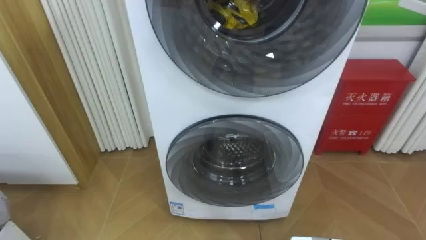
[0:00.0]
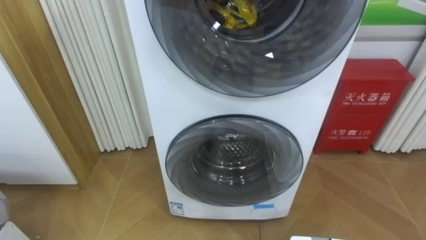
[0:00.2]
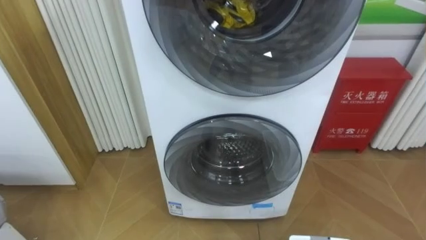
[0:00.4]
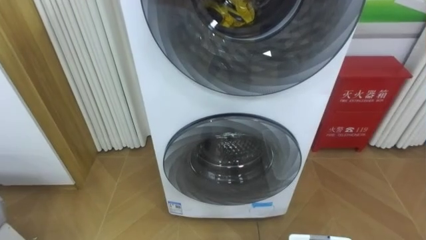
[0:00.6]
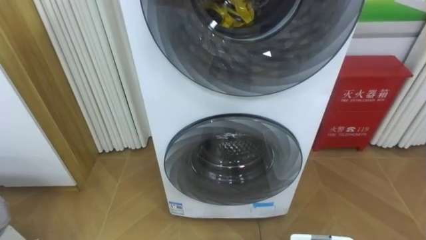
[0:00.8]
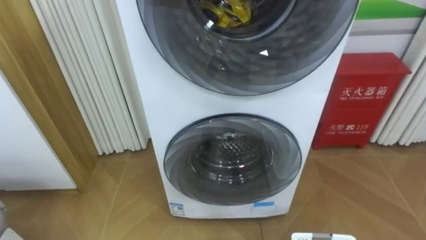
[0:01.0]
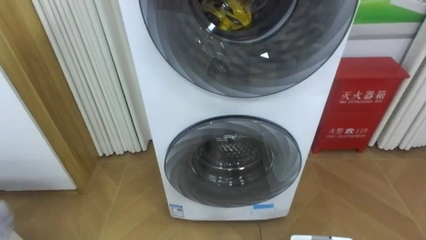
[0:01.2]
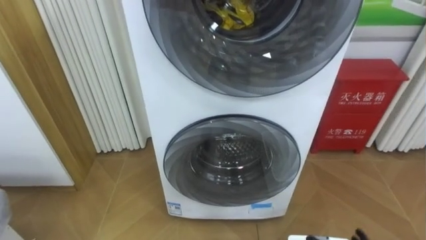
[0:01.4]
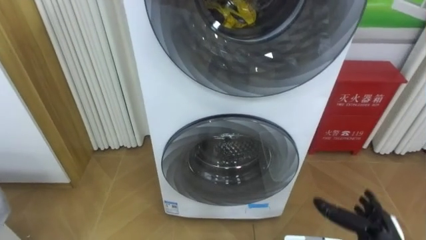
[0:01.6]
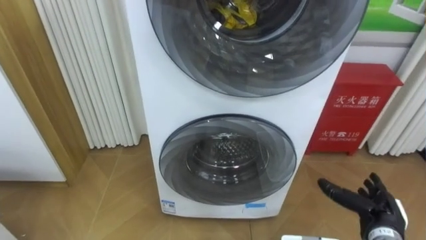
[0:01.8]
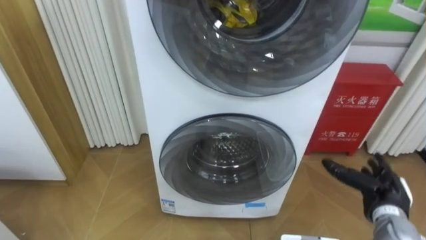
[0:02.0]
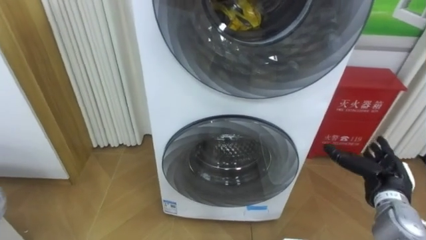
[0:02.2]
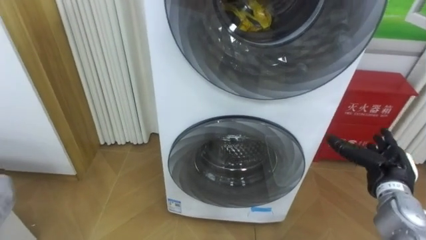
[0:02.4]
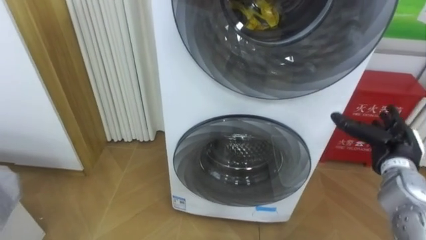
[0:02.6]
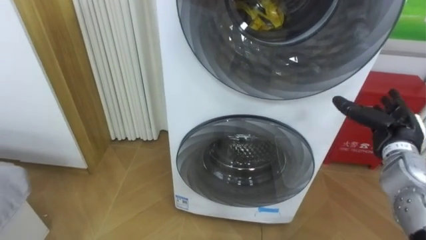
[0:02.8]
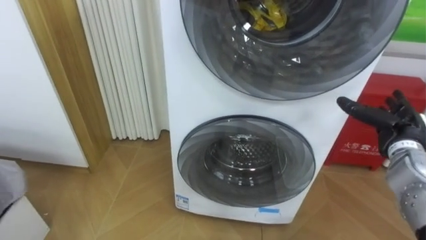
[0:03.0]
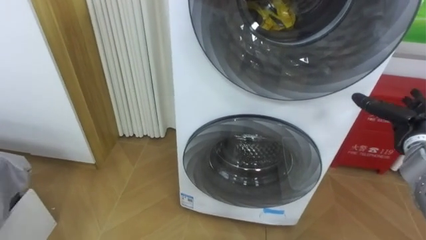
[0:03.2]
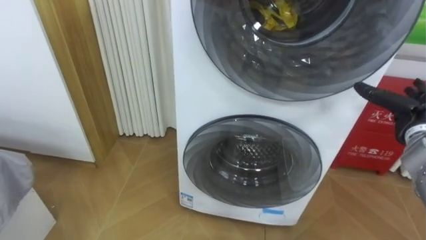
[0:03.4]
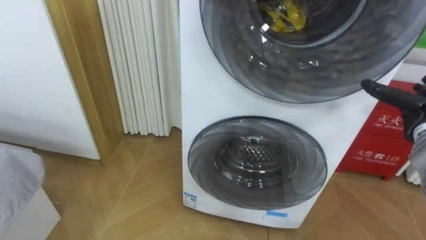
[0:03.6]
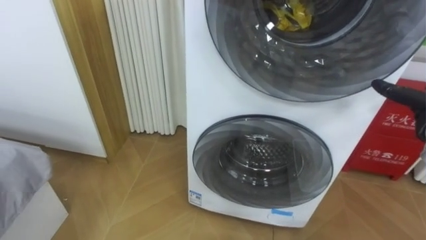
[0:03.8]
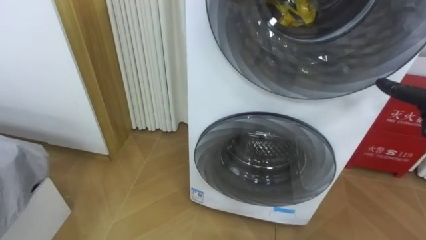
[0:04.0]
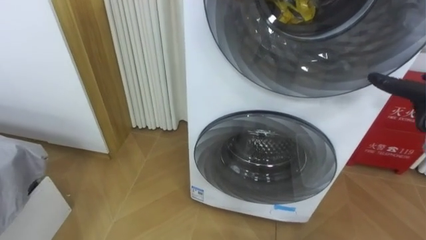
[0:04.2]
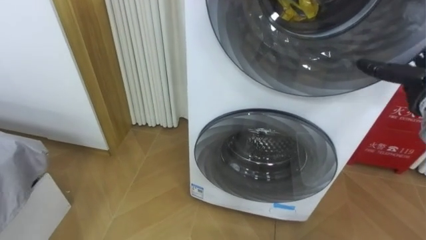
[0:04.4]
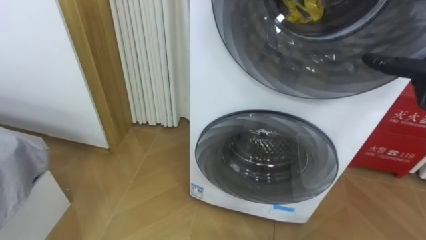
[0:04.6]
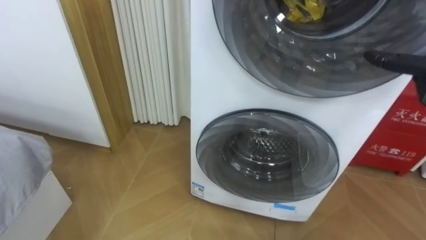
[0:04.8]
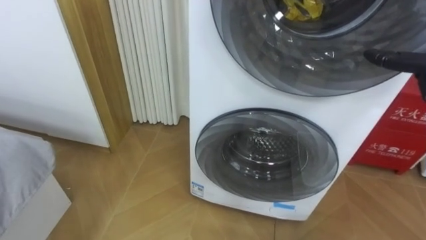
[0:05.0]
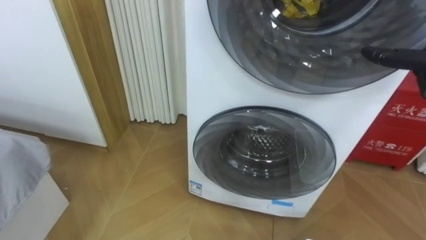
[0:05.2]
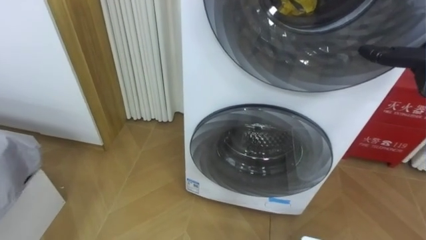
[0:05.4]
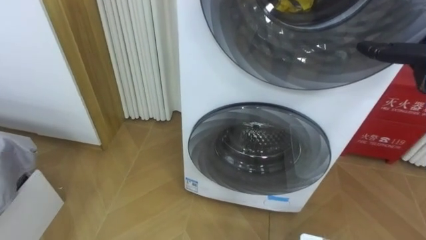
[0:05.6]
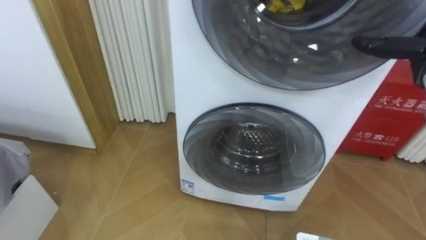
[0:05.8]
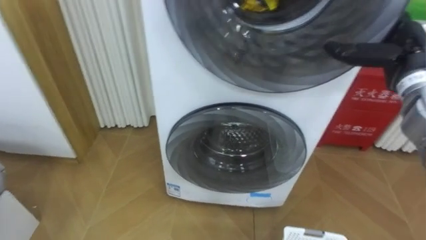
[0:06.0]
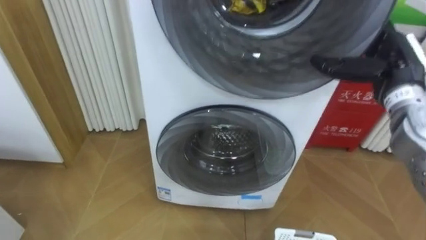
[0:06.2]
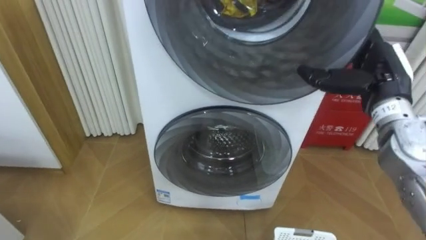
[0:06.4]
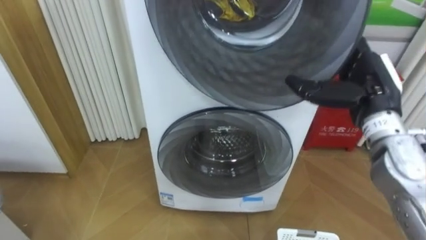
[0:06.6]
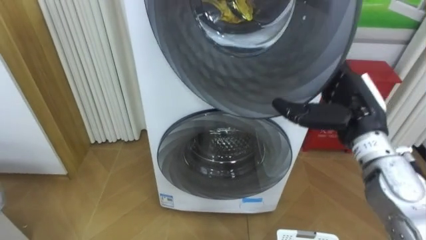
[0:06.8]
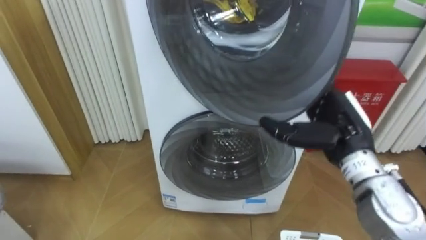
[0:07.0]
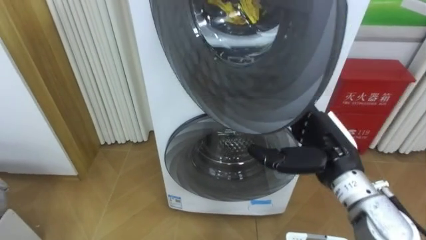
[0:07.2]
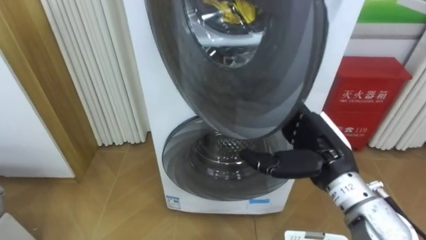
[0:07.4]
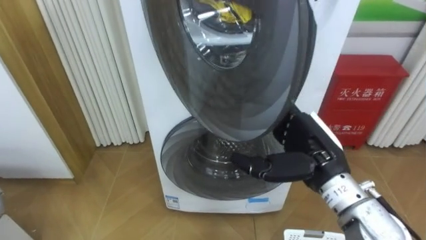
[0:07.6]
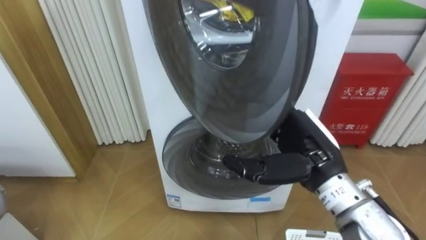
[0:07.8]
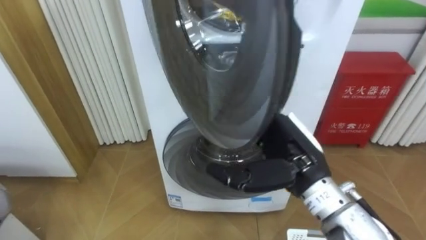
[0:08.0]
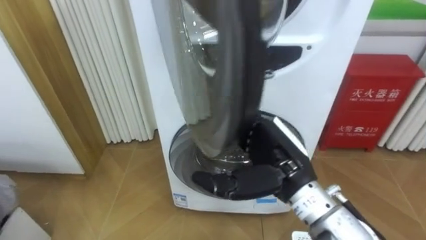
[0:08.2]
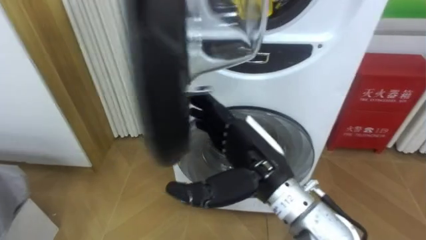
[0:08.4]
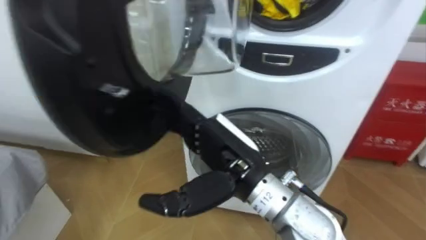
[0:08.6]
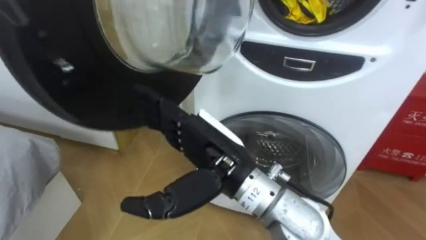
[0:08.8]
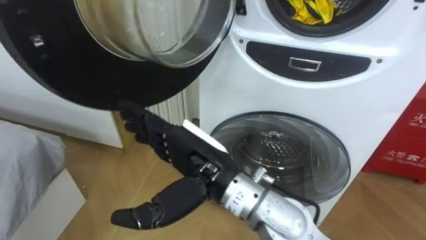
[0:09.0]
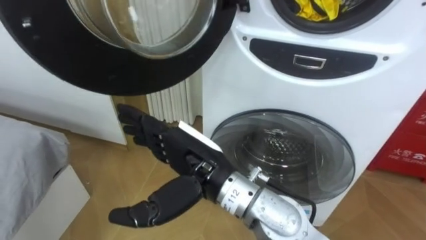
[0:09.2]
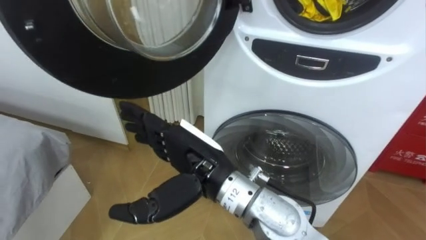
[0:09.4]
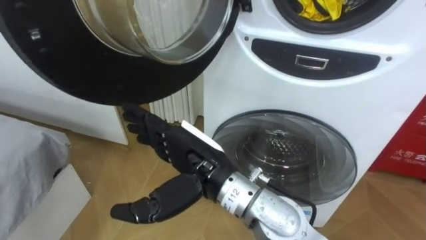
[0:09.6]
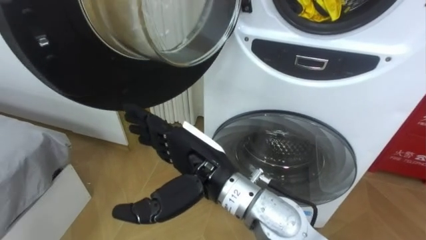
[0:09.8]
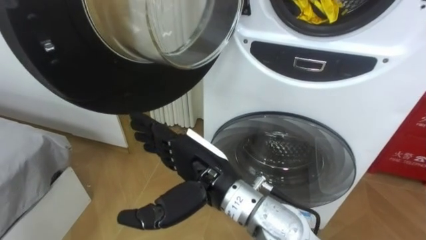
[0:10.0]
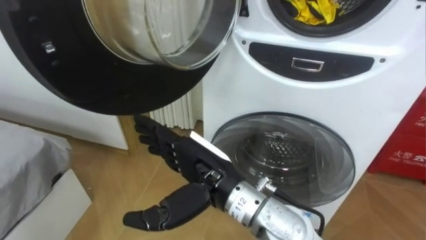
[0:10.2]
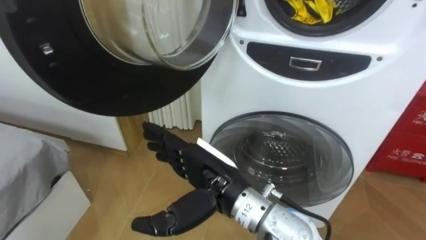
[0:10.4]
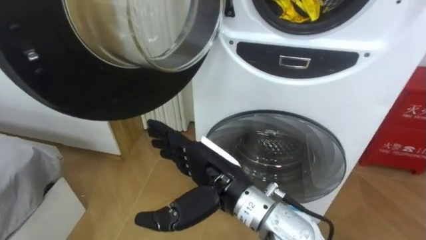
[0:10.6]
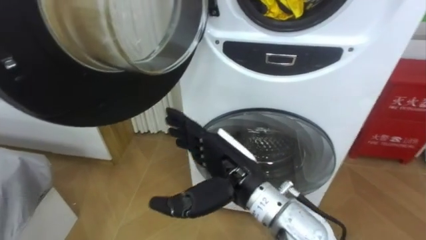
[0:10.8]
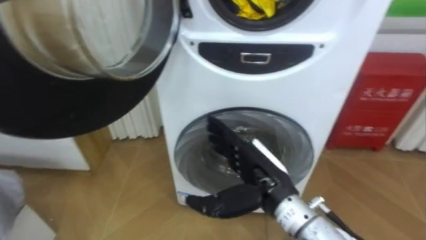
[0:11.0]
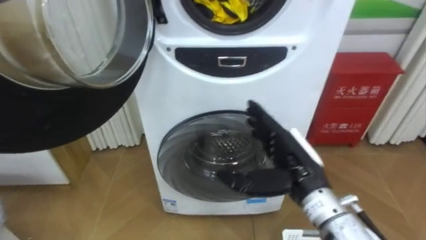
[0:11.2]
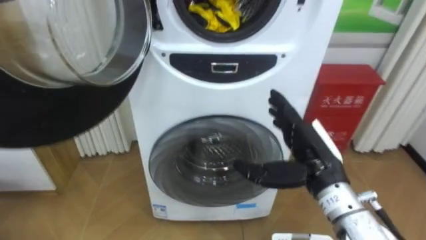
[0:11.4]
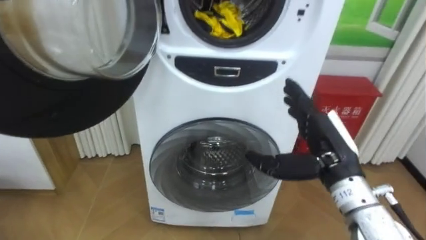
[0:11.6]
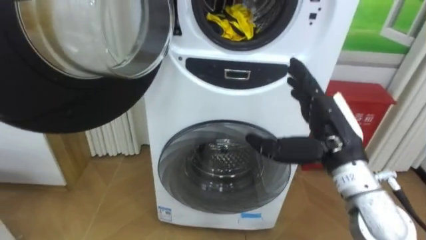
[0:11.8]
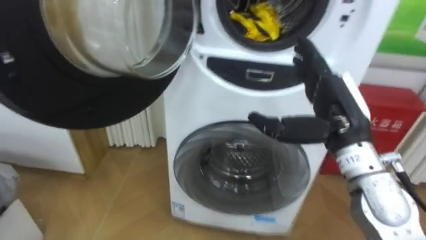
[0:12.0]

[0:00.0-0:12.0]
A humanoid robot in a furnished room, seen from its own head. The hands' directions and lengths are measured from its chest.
Task of the whole recording: Open the washing machine door, take out the yellow clothes, place them in the box on the right, and close the washing machine door.
0:01.6 to 0:03.0: The right hand is displaced upward and forward by some 20 cm.
0:06.0 to 0:07.6: The right hand shifts roughly 20 cm to the left, backward and downward.
0:07.6 to 0:09.0: The right hand shifts some 20 cm to the left.
0:10.4 to 0:12.0: The right hand travels to the right by roughly 20 cm.

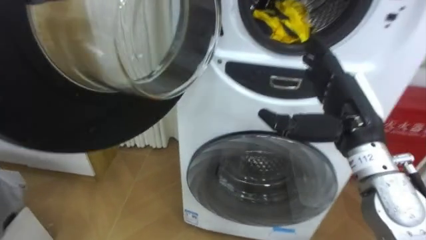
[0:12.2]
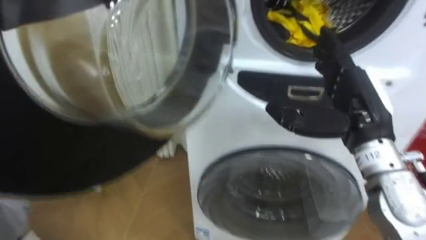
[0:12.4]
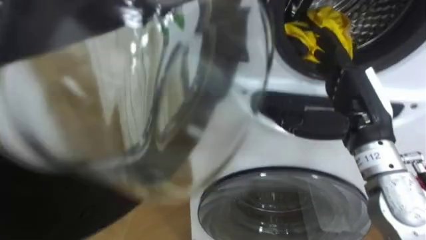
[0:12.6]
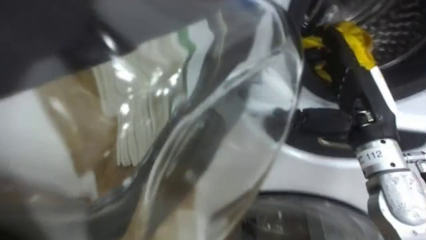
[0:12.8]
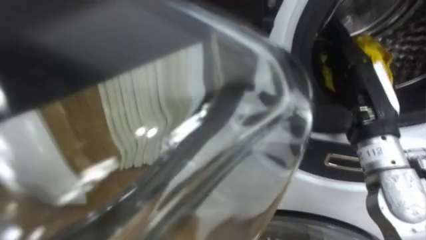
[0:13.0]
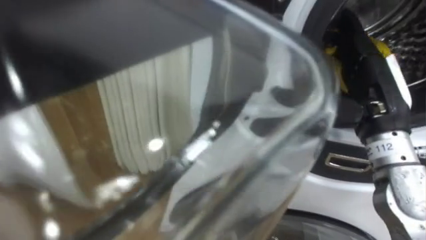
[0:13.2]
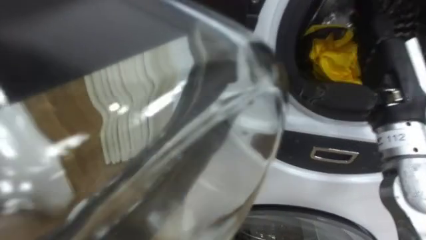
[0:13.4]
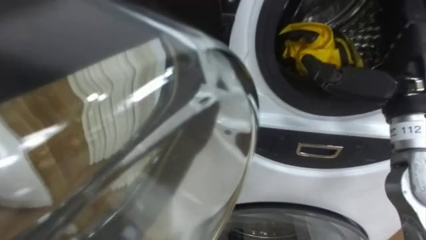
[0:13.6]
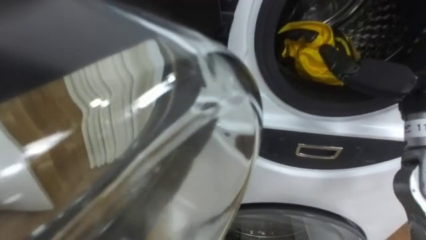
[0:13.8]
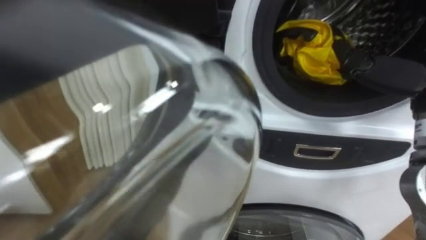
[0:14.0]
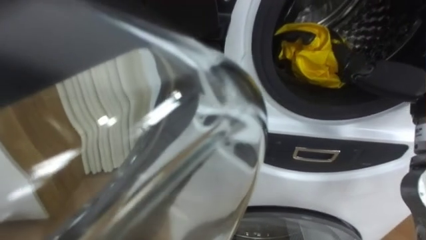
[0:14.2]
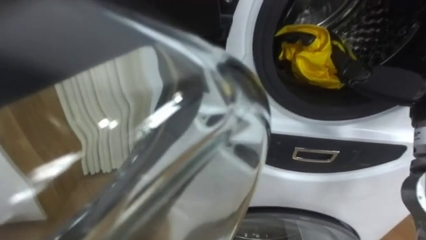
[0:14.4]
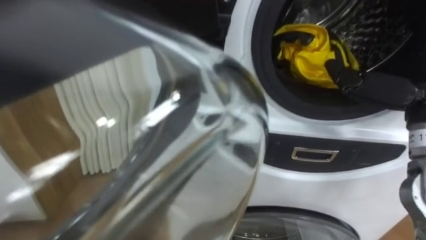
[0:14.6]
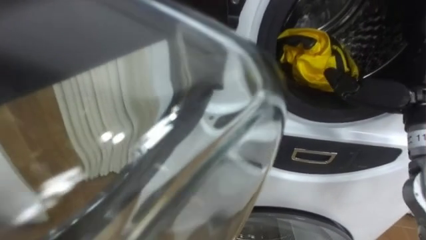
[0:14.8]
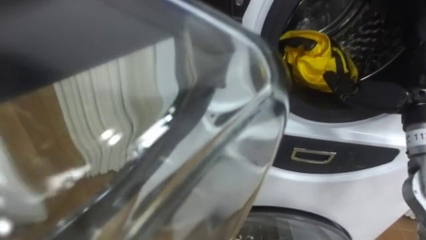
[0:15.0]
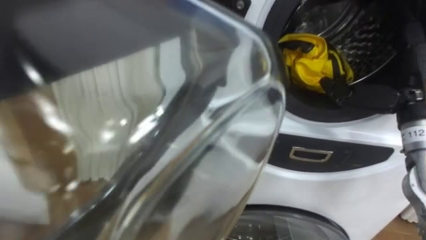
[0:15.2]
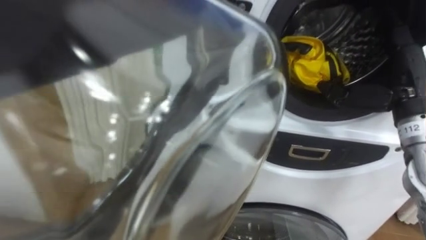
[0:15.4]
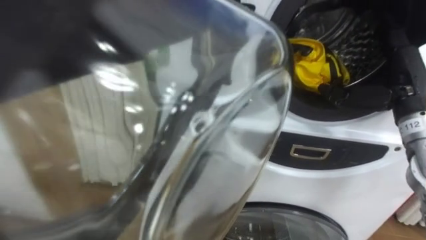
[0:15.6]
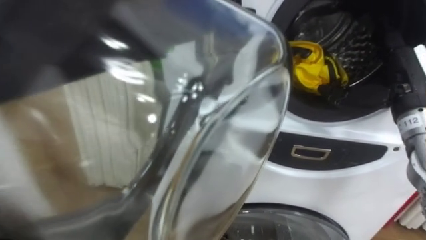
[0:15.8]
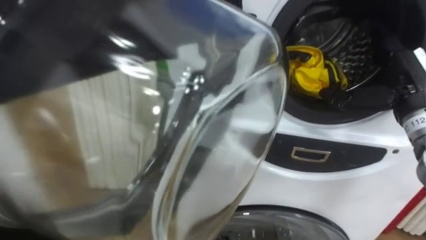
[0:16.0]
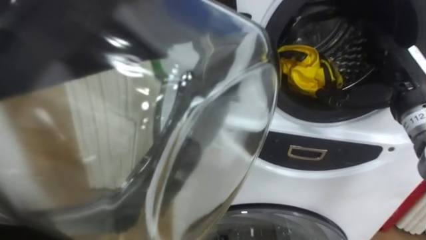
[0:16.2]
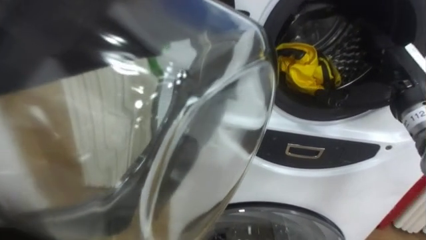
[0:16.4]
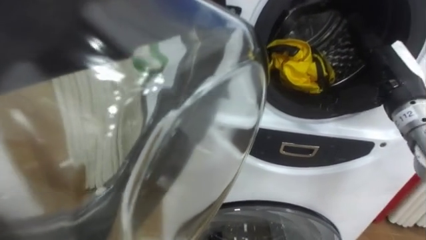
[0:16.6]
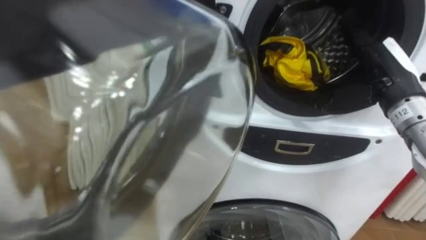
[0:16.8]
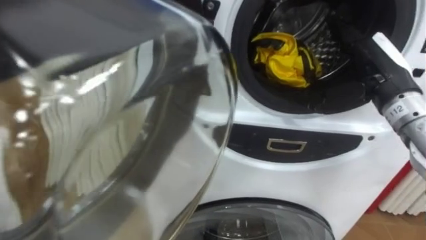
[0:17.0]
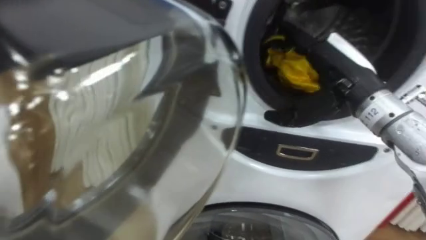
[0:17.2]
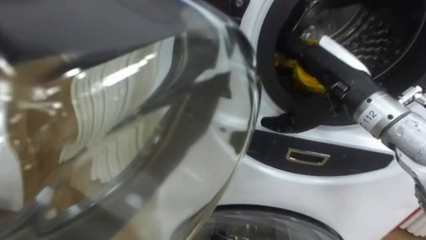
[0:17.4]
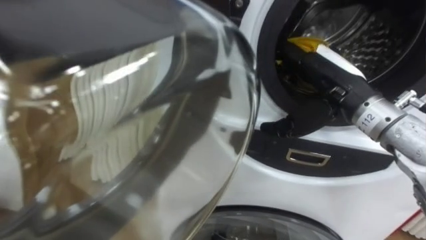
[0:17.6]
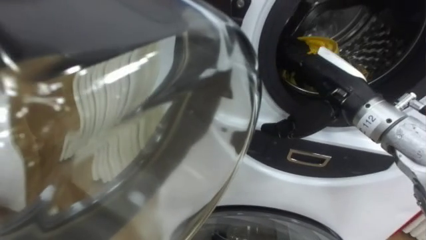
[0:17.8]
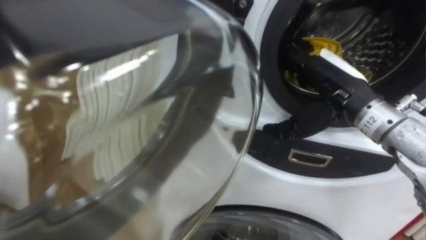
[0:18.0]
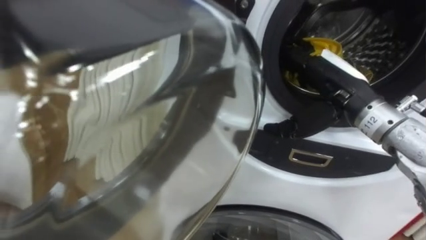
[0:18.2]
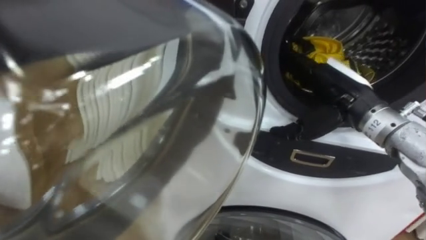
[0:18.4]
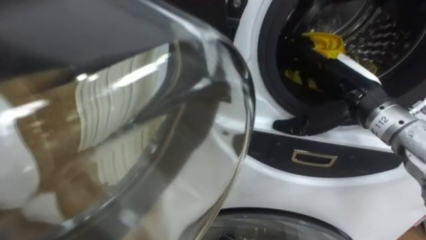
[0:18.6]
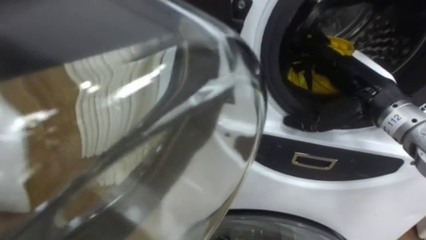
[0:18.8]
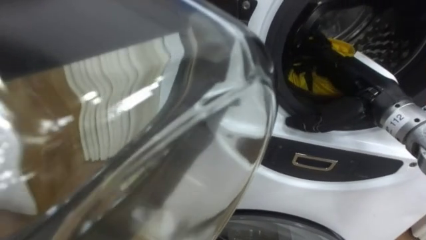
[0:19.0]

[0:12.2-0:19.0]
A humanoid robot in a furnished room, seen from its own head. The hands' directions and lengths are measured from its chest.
Task of the whole recording: Open the washing machine door, take out the yellow clothes, place them in the box on the right, and close the washing machine door.
0:12.2 to 0:13.6: The right hand goes some 5 cm upward.
0:15.0 to 0:16.2: The right hand travels forward by roughly 5 cm.
0:16.2 to 0:17.6: The right hand is displaced to the left by some 10 cm.
0:17.6 to 0:19.0: The right hand heads to the right, covering about 5 cm.
